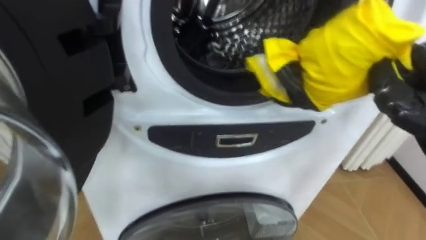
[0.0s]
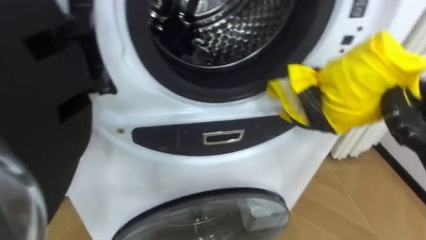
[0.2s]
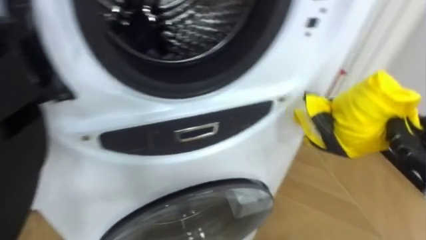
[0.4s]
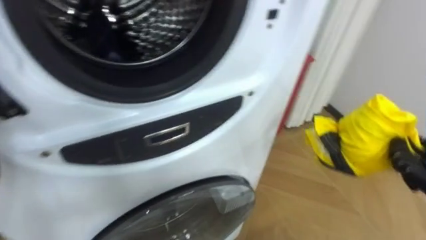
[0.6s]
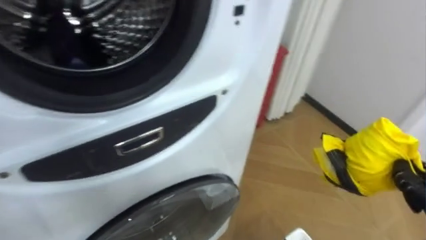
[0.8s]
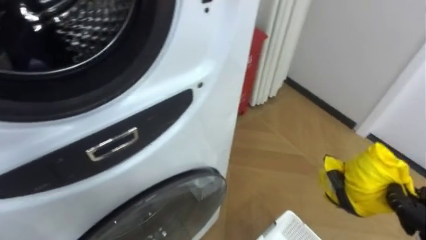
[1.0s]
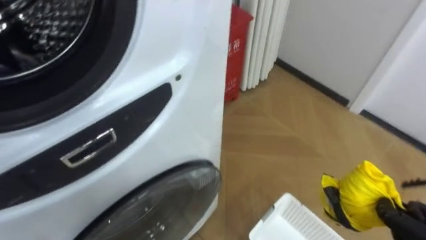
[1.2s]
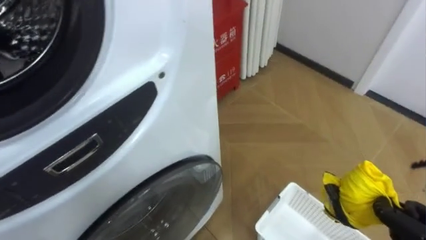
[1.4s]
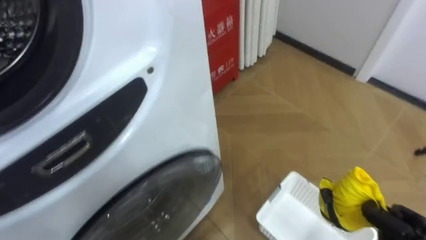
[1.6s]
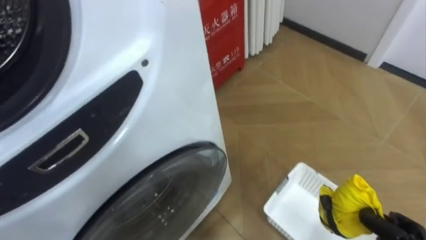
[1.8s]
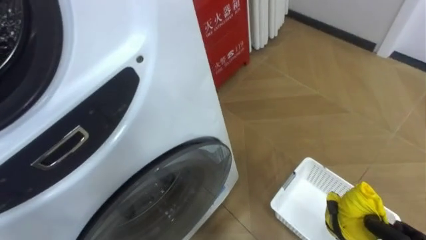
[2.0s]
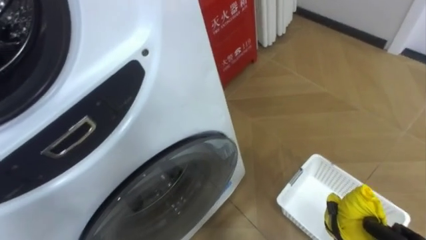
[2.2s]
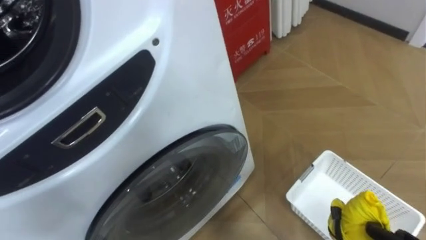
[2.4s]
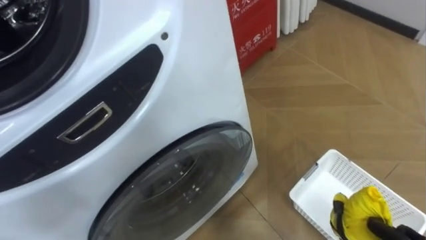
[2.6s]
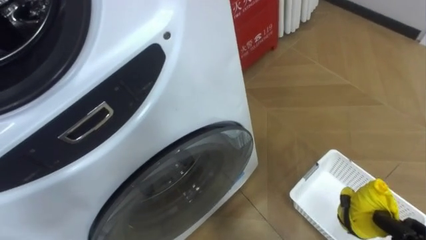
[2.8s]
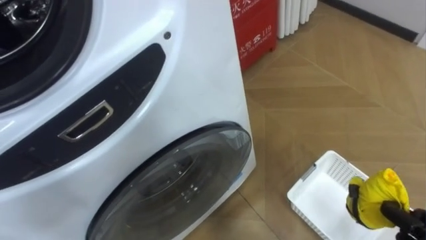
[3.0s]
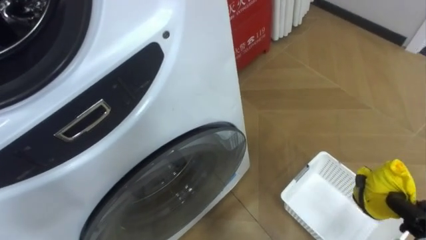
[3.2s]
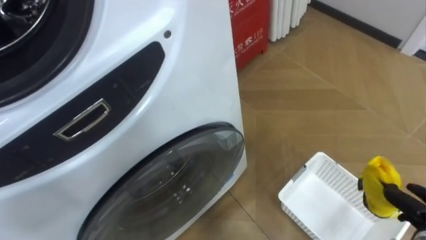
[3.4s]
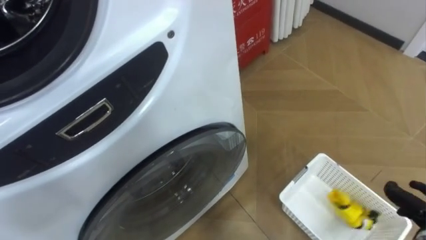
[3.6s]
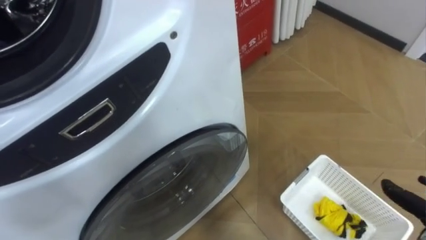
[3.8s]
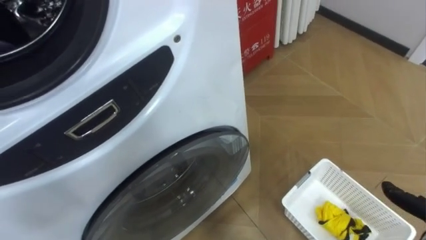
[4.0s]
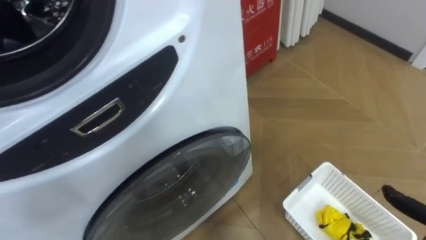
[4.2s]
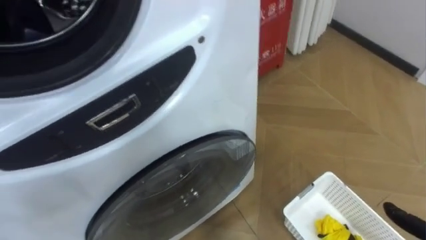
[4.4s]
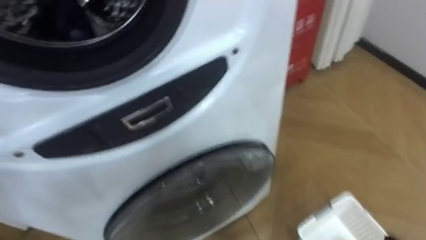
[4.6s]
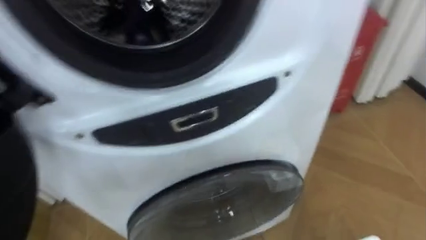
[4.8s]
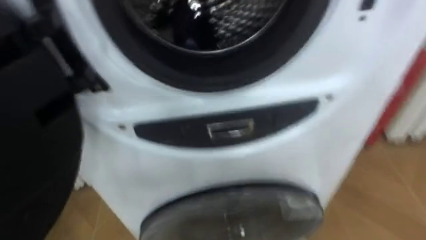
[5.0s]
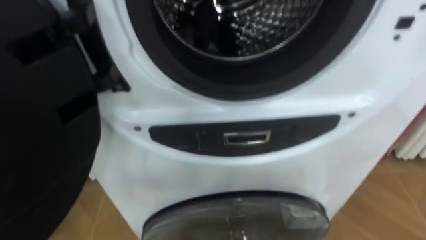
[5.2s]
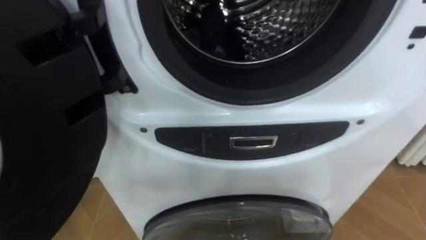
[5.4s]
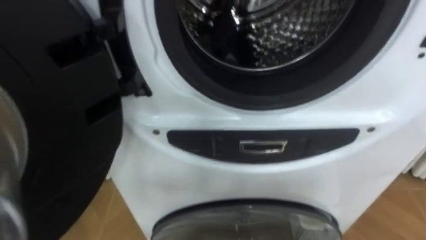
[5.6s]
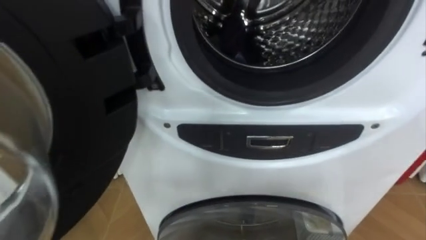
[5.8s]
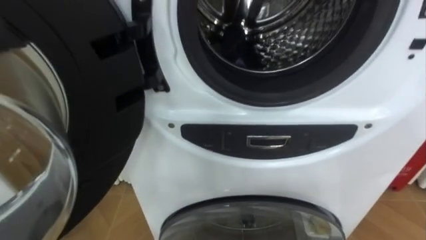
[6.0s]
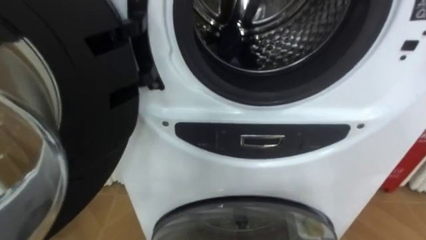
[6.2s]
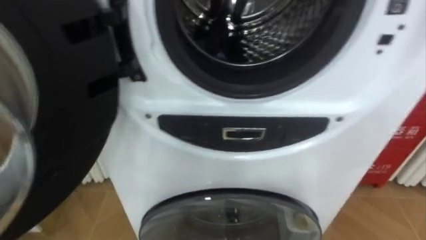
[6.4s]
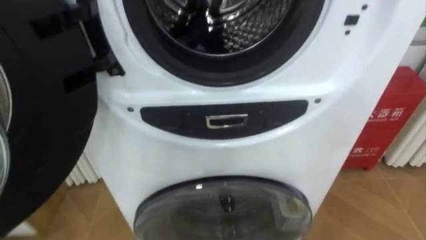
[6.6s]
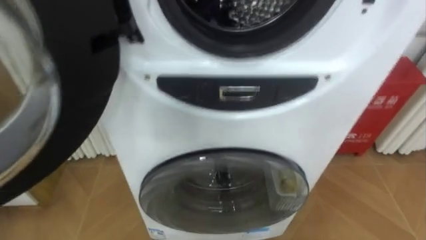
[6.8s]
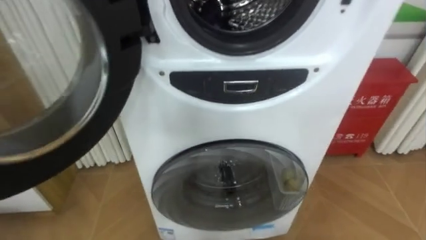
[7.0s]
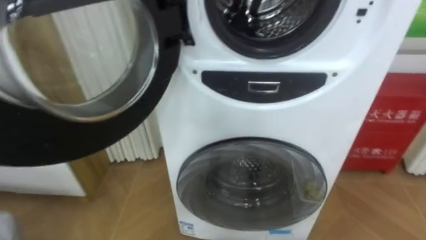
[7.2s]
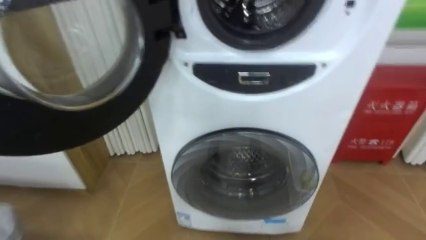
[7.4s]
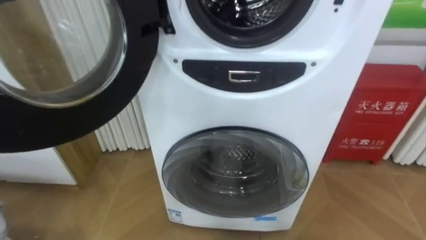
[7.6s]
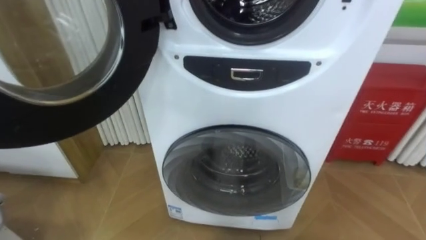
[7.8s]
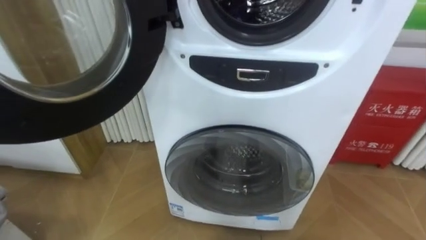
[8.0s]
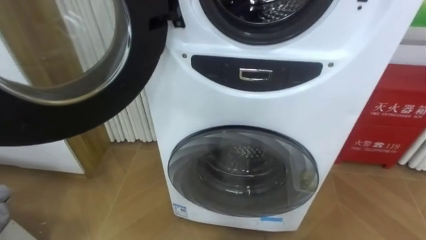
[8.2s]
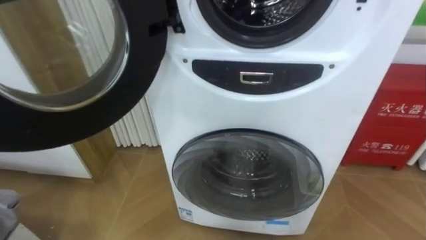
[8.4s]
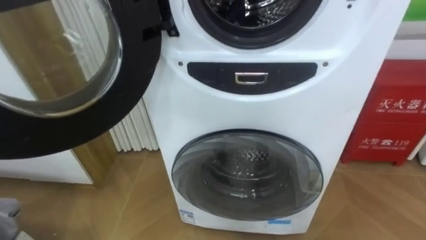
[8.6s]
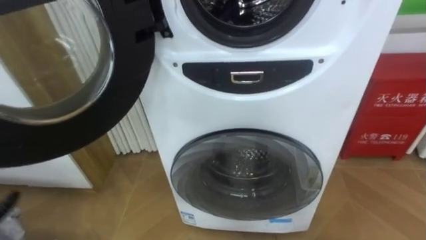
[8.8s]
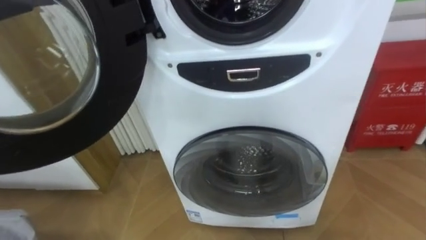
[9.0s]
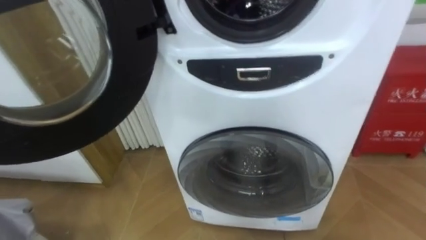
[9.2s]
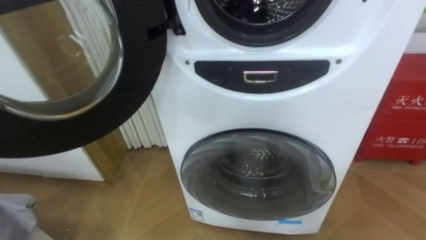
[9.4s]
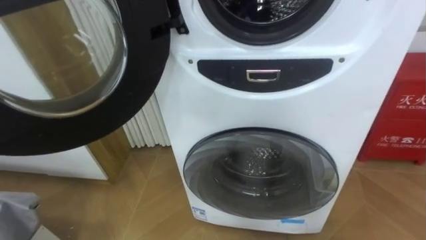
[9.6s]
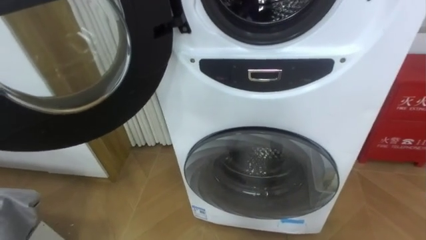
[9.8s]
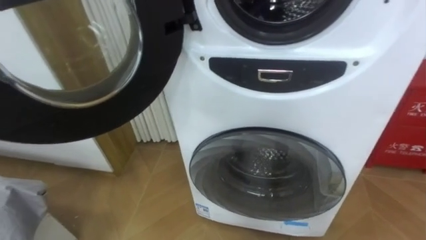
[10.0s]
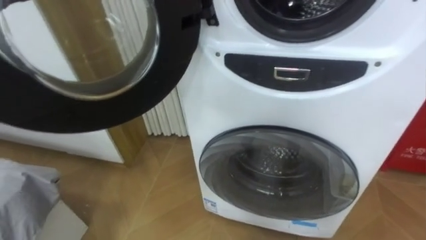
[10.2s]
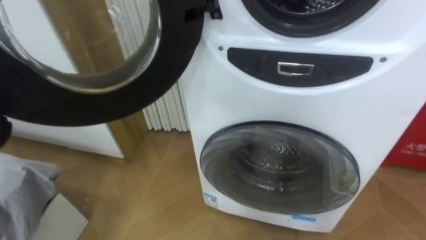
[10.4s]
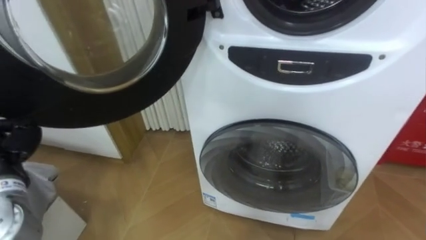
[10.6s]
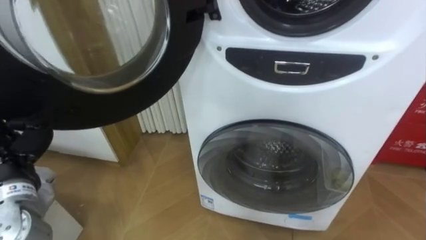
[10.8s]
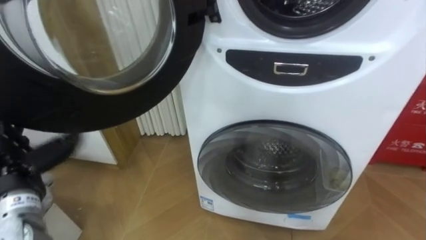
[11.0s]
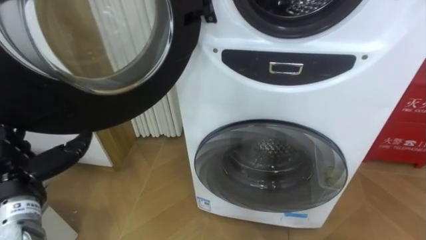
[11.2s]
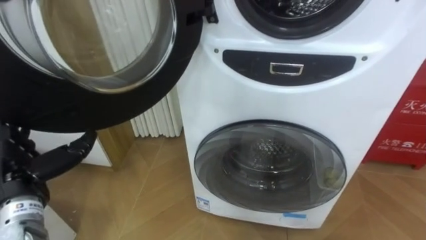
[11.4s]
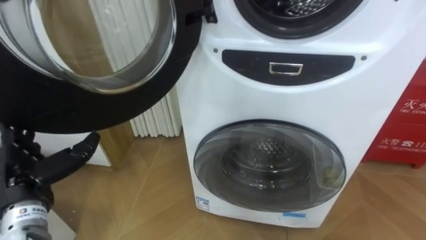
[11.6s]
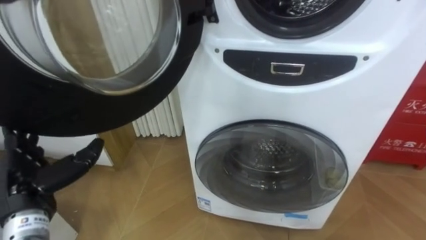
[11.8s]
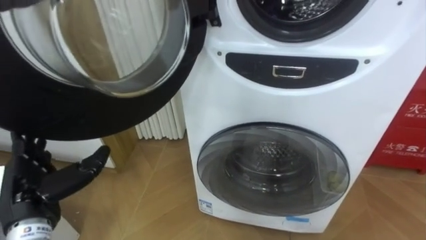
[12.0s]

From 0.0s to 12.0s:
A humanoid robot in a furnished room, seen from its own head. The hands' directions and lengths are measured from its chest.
Task of the whole recording: Open the washing machine door, take out the yellow clothes, place them in the box on the right, and close the washing machine door.
From 0.0s to 1.6s: The robot turns to its right by about 25 degrees.

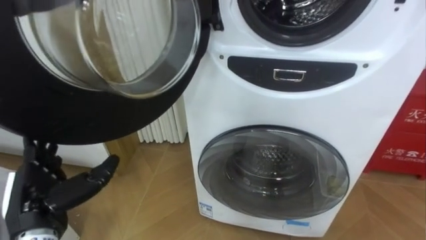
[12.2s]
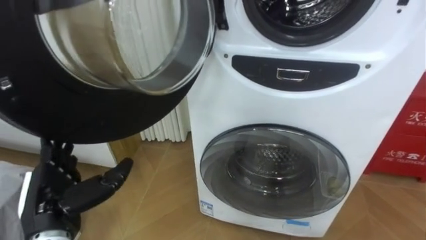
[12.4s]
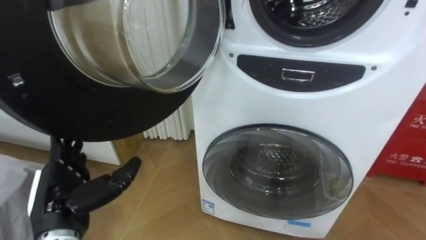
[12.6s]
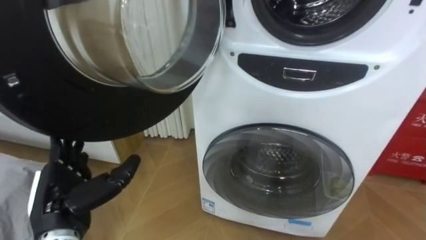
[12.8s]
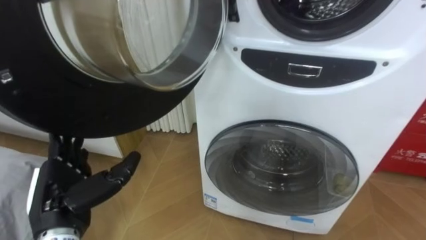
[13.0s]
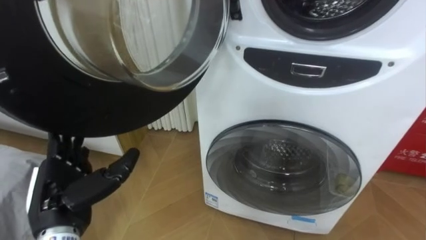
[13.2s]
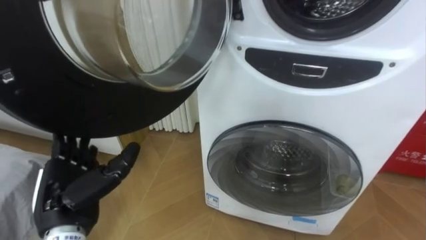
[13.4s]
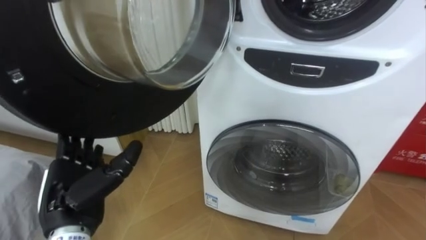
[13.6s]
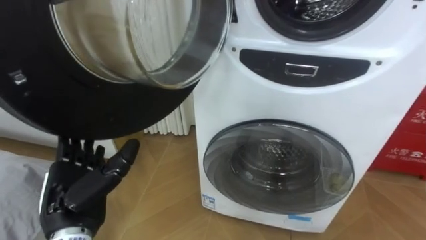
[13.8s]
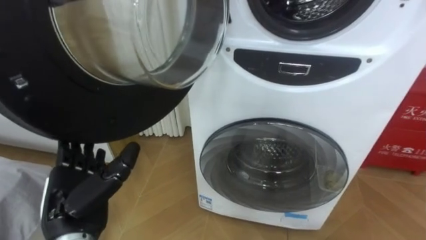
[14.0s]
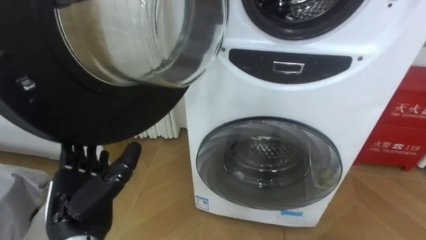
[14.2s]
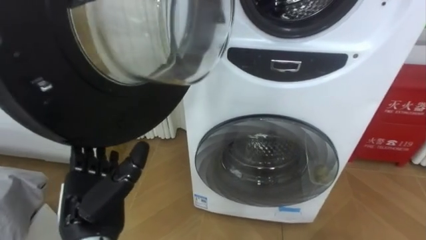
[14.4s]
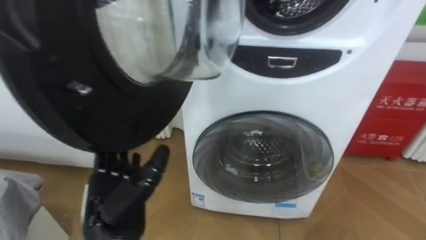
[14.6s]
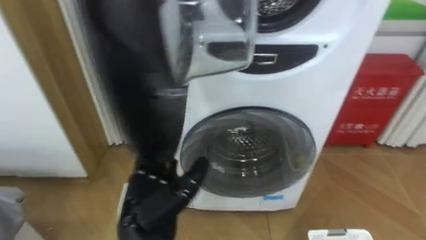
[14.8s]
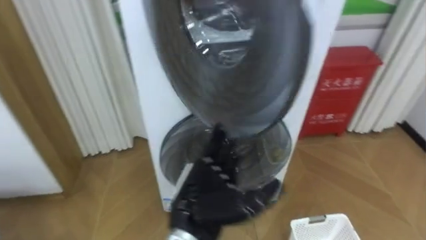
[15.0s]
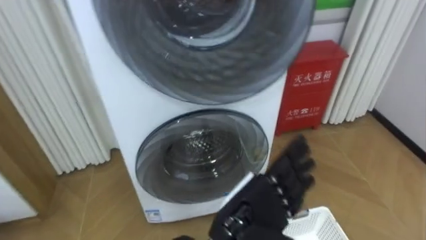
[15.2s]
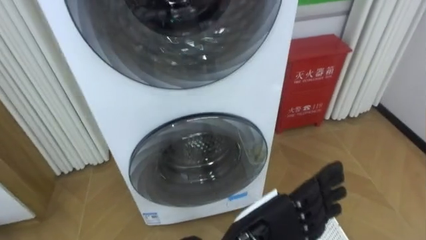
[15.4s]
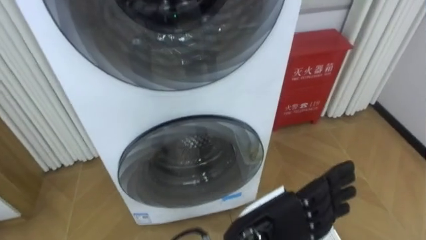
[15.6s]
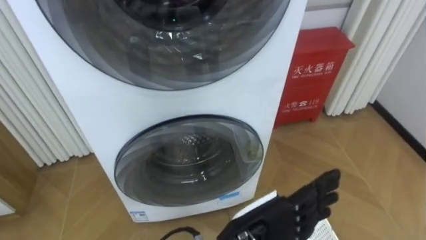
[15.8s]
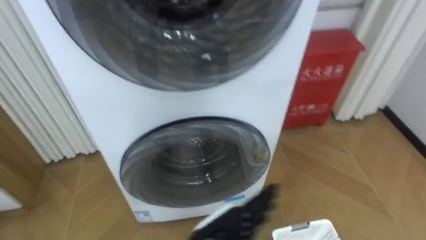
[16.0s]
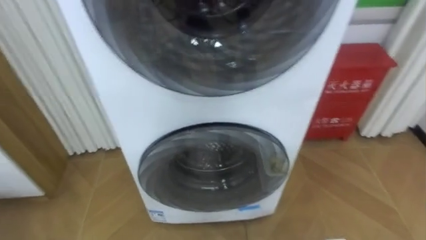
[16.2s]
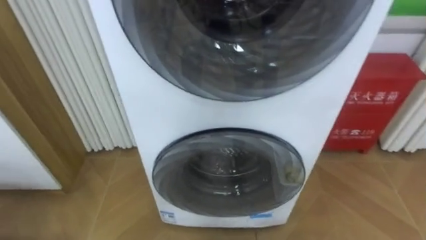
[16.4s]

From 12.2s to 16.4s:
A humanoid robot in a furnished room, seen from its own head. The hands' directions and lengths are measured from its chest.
Task of the whole recording: Open the washing machine door, take out the yellow clothes, place them in the box on the right, and close the washing machine door.
From 12.2s to 13.6s: The left hand goes some 5 cm to the right.
From 13.6s to 15.0s: The left hand moves to the right, roughly 20 cm.

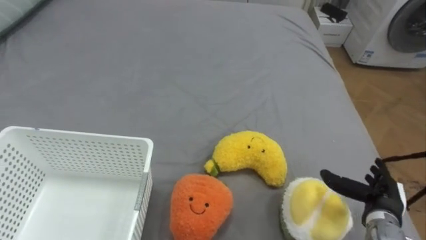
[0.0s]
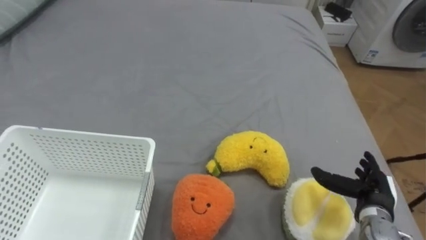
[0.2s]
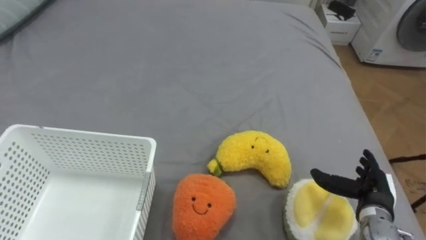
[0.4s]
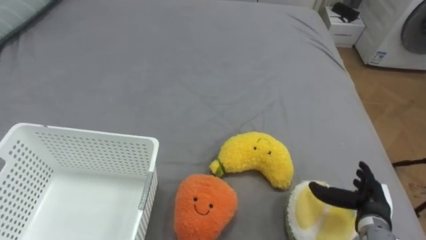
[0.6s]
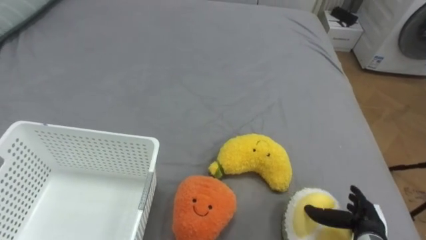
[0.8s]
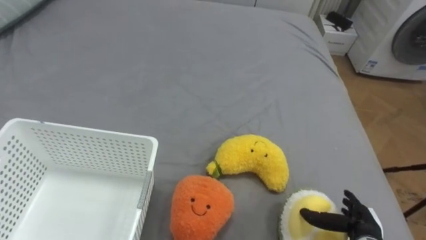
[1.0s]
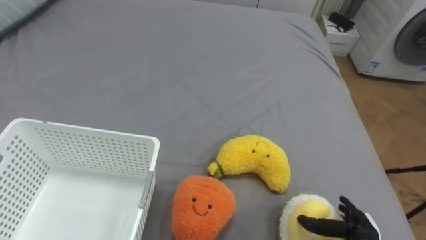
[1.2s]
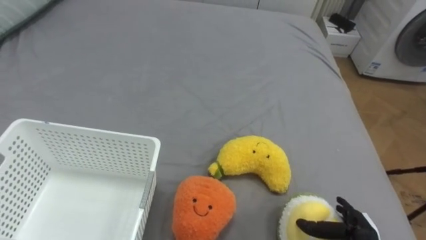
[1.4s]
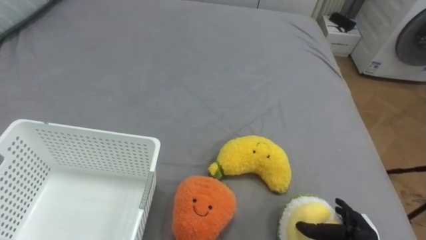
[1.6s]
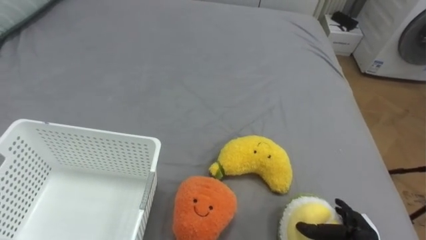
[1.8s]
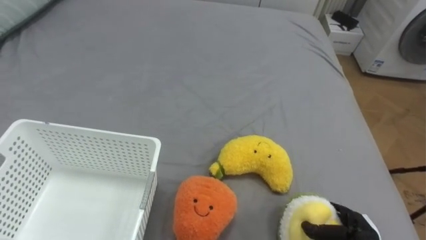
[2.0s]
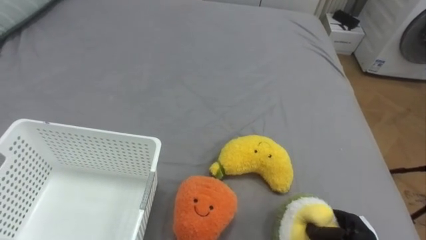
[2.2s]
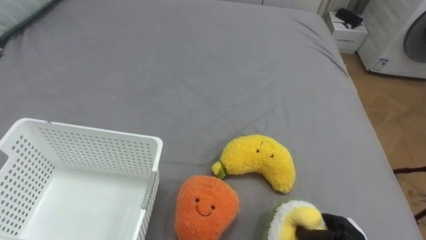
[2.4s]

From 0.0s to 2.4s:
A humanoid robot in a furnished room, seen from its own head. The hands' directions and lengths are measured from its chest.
Task of the whole recording: Put the toys on the bed into the basket on the left.
From 0.0s to 1.2s: The right hand goes roughly 5 cm downward.
From 1.2s to 2.4s: The right hand closes.
